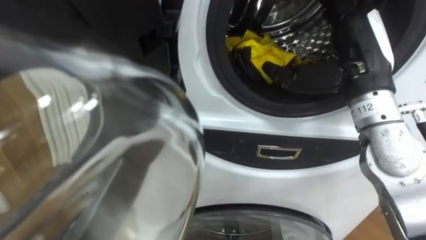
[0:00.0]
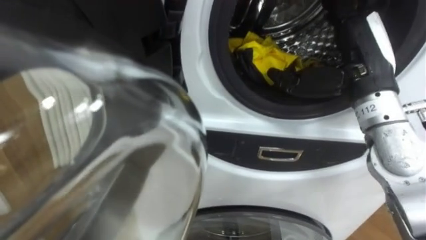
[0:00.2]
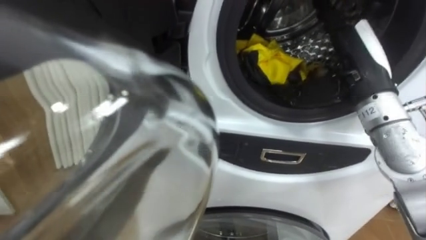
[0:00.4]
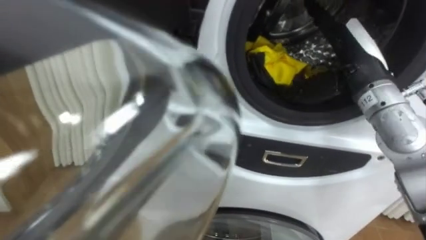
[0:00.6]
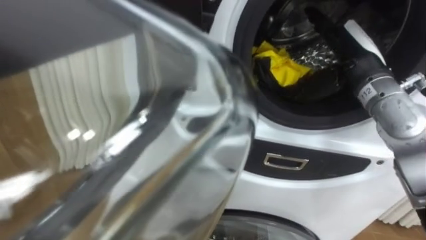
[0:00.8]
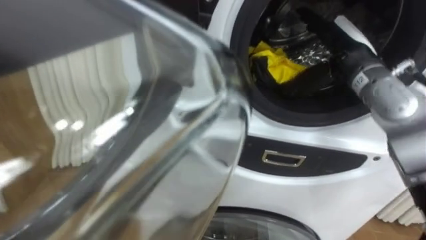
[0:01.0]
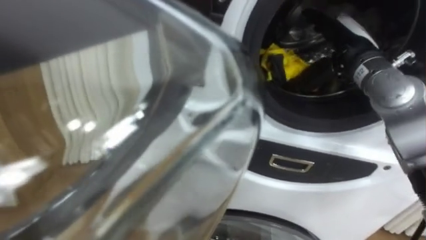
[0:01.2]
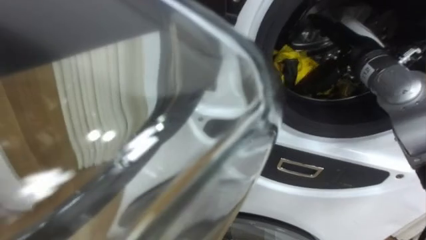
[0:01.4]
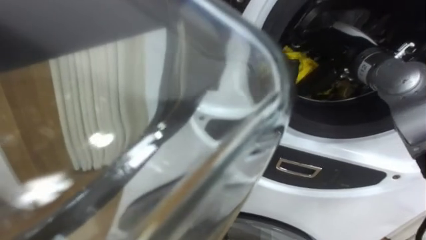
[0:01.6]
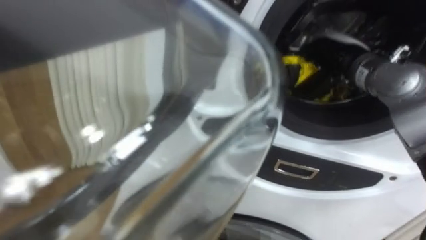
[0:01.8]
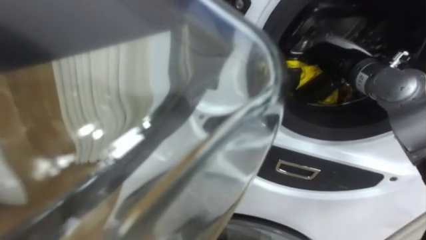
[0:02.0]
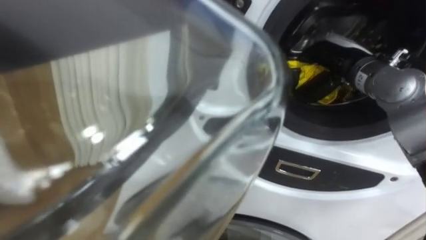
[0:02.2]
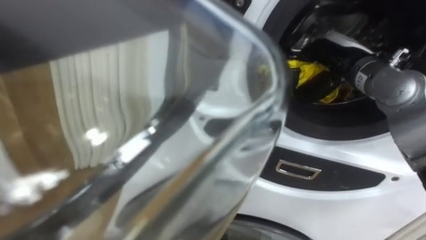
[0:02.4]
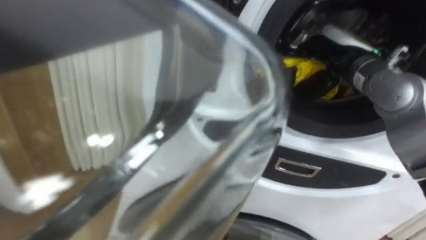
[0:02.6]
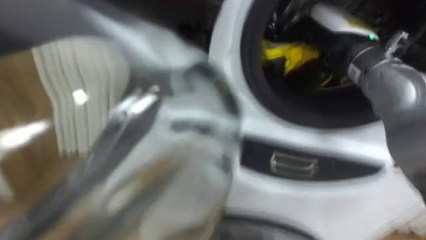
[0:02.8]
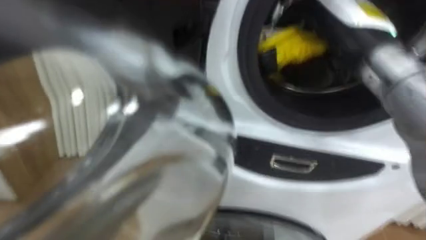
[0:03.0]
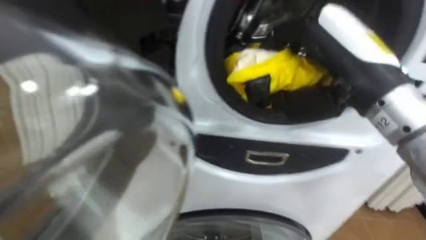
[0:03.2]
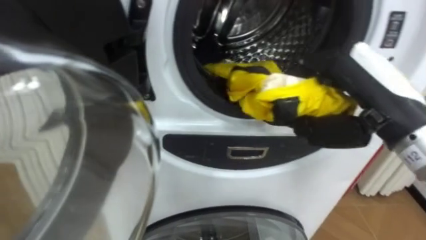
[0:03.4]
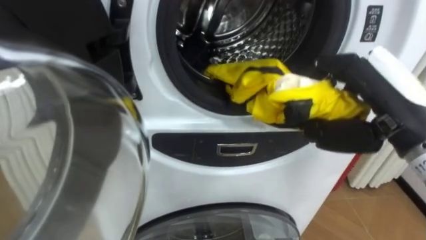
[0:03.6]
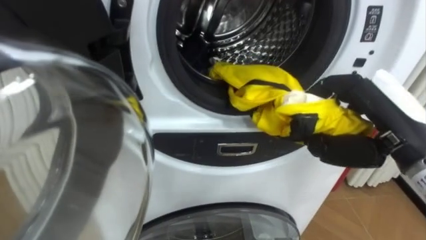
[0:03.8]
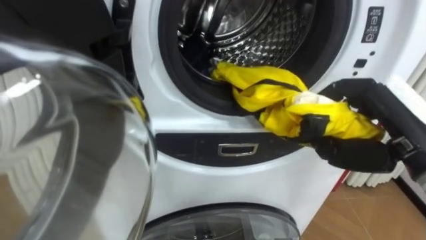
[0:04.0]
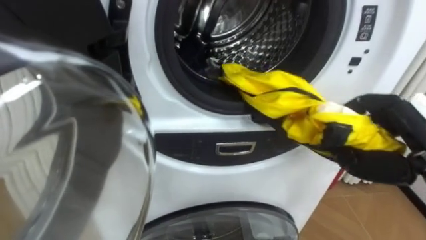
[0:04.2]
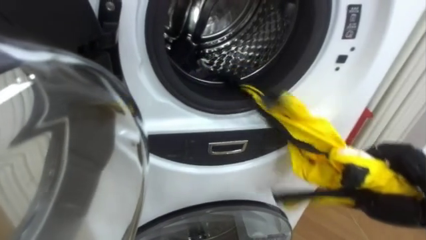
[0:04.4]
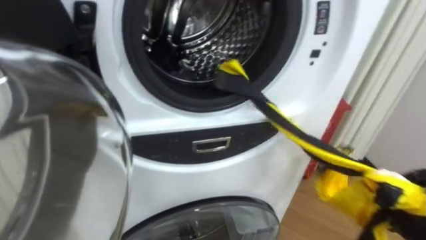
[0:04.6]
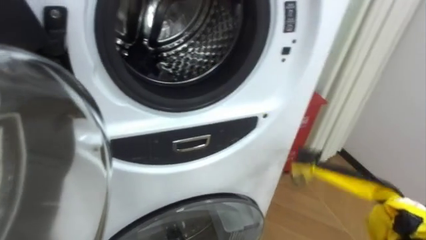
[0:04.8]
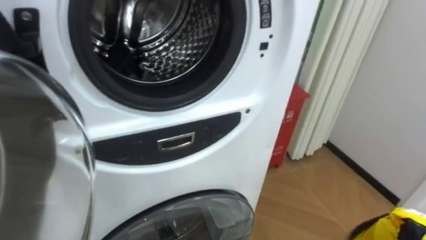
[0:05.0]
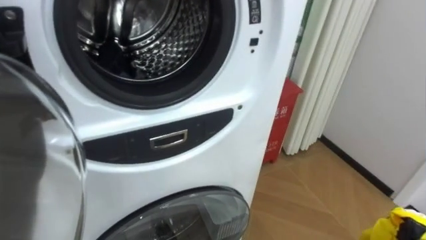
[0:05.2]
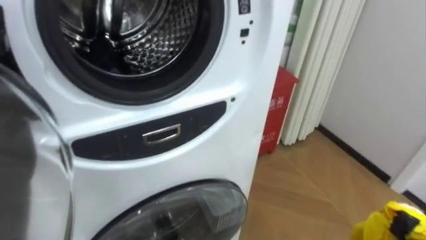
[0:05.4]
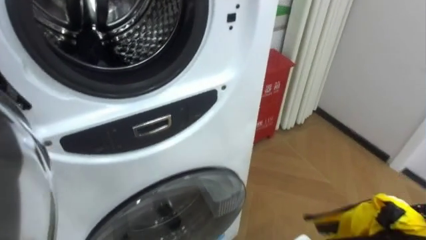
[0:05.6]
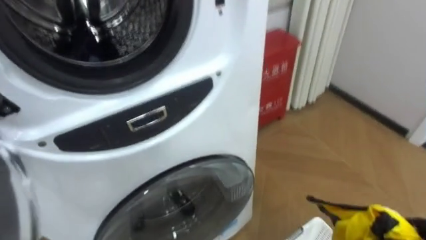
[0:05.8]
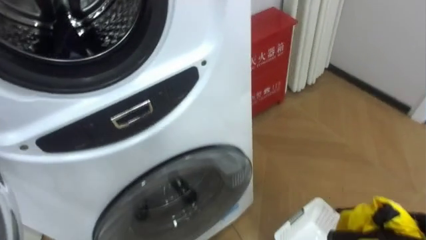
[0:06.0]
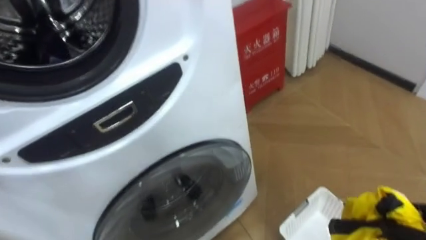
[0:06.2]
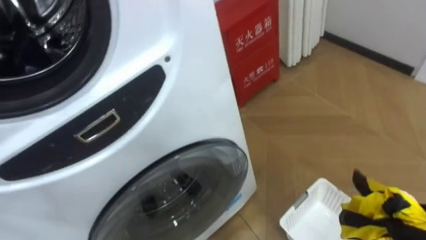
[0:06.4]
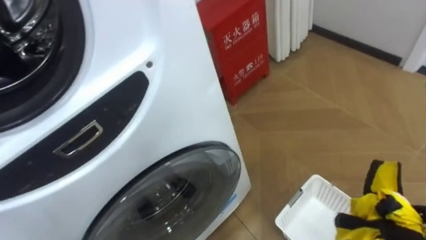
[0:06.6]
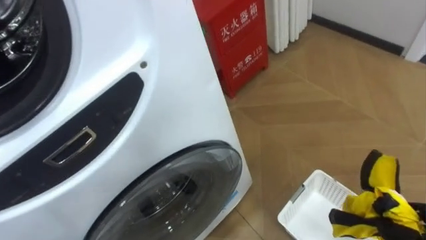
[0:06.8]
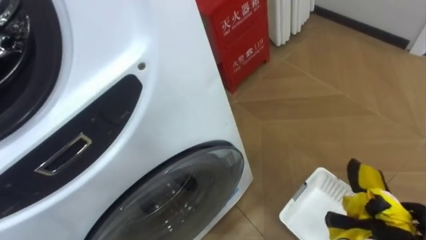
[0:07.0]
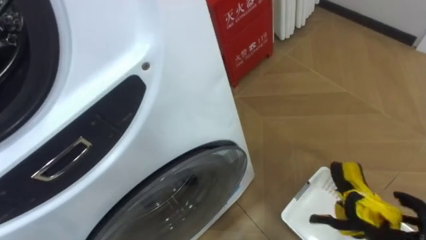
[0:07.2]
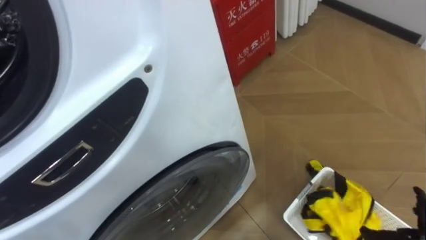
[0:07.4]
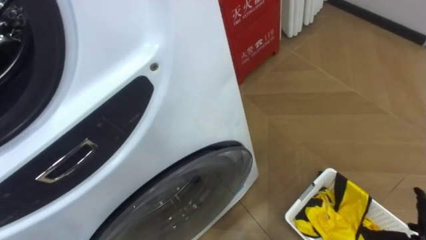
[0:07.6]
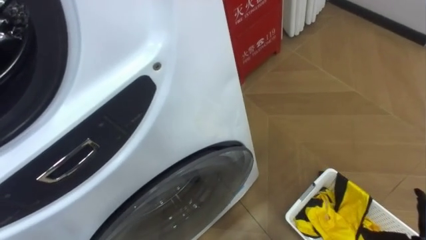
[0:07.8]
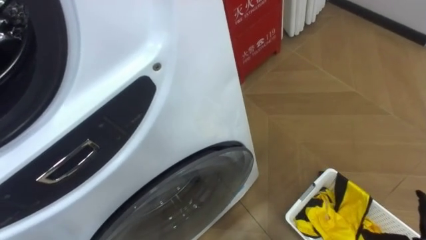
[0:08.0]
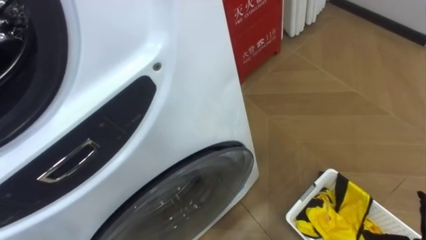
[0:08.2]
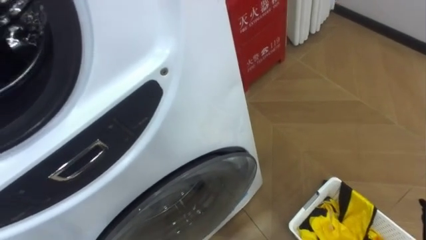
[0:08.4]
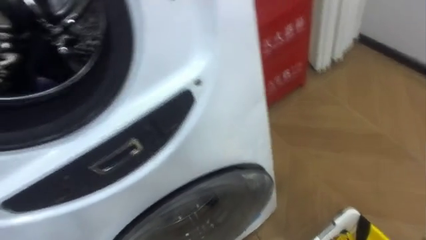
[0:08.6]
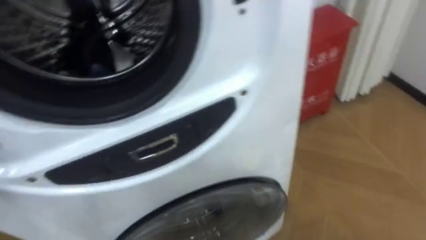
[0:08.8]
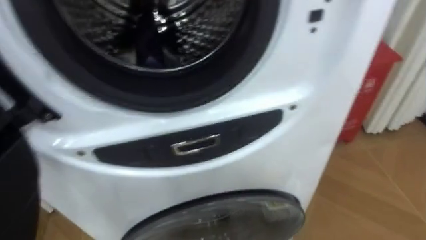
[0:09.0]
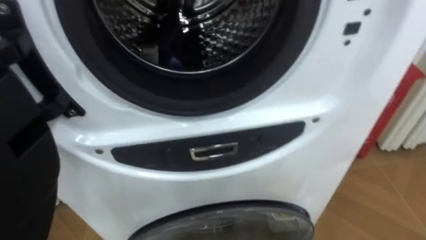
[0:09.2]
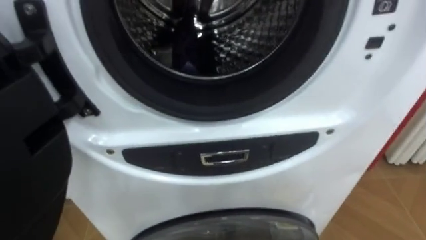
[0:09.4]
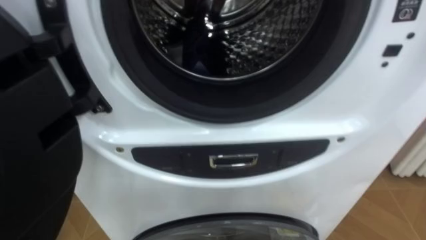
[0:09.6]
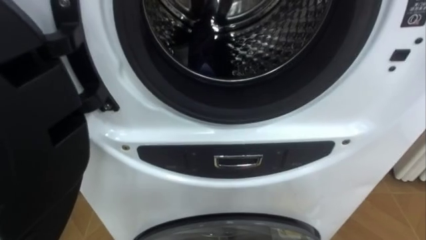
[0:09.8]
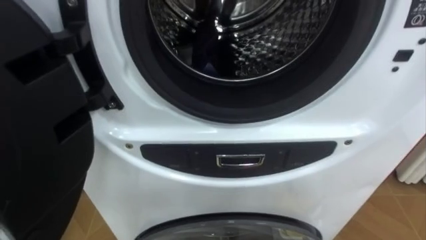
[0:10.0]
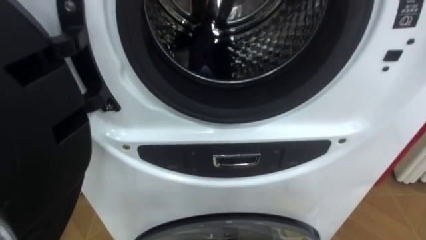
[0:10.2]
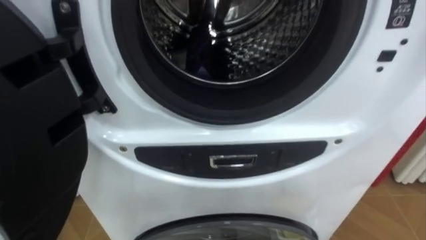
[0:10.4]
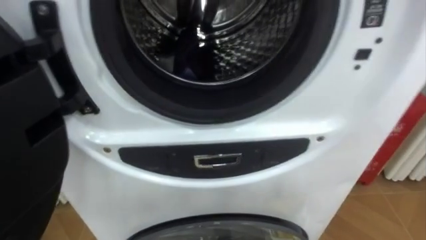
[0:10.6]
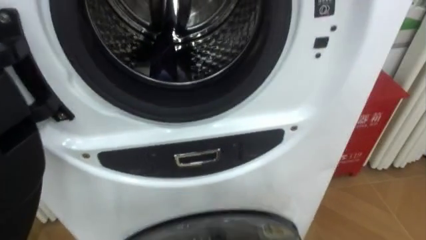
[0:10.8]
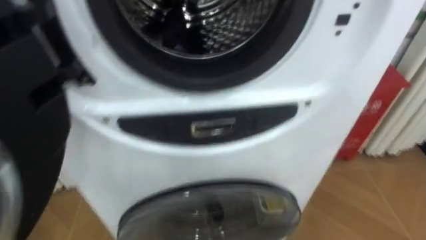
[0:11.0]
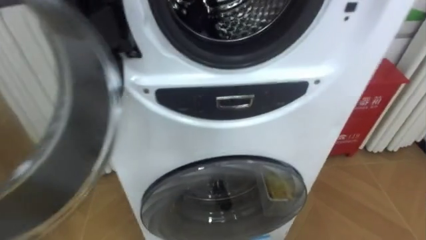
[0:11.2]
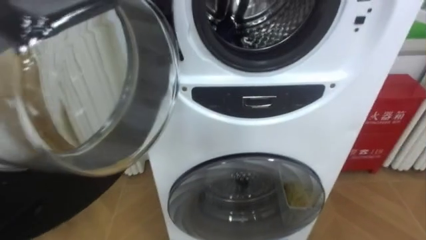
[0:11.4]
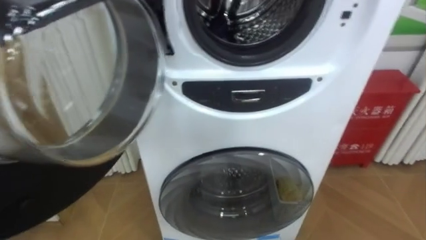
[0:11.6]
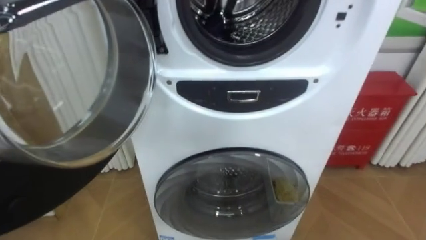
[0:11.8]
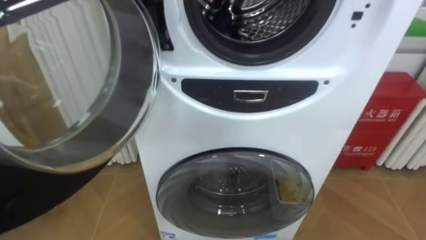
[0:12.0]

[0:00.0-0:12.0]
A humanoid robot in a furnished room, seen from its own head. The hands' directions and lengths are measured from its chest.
Task of the whole recording: Open the washing machine door, take out the yellow clothes, place them in the box on the right, and close the washing machine door.
0:00.0 to 0:01.6: The right hand goes some 10 cm forward.
0:01.6 to 0:03.0: The right hand heads backward, upward and to the left, covering about 10 cm, and closes.

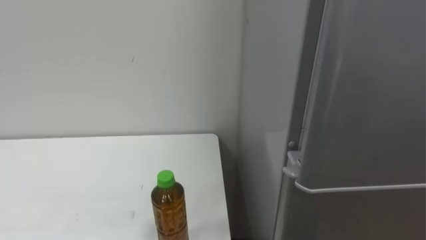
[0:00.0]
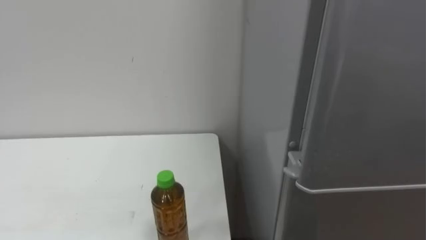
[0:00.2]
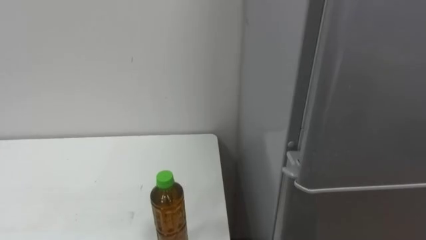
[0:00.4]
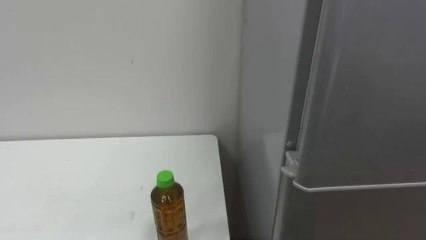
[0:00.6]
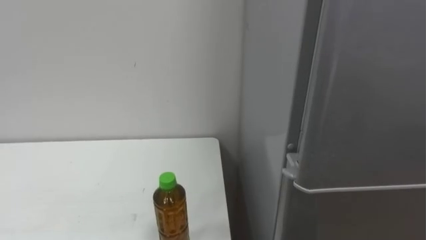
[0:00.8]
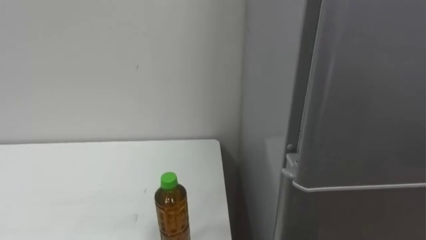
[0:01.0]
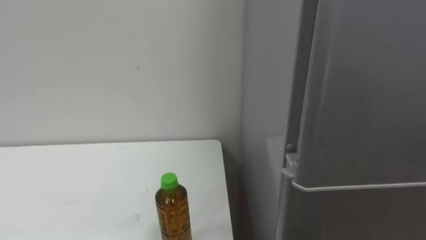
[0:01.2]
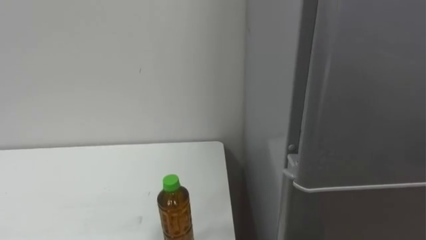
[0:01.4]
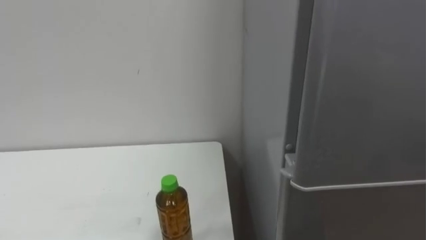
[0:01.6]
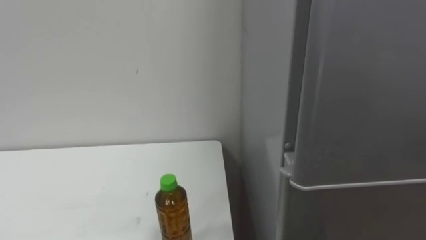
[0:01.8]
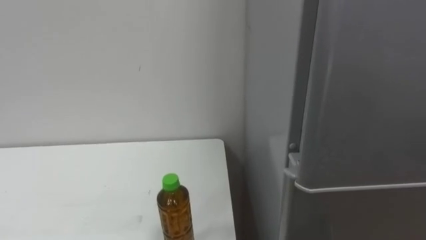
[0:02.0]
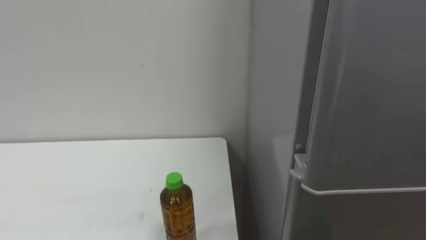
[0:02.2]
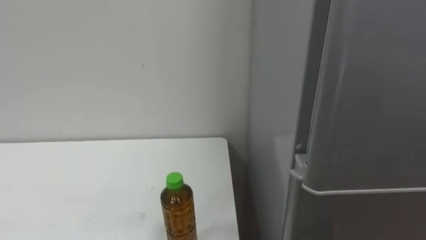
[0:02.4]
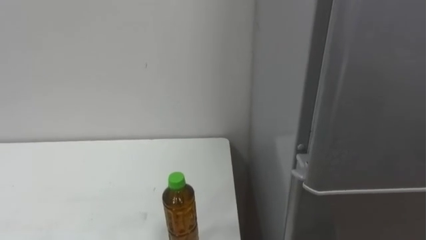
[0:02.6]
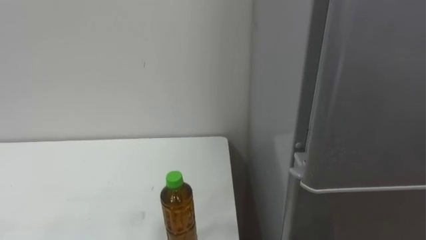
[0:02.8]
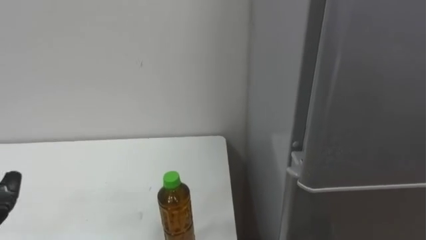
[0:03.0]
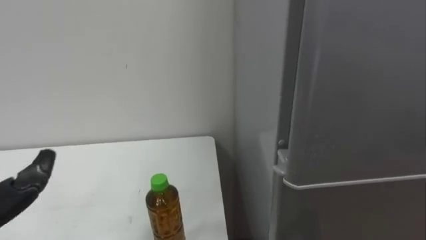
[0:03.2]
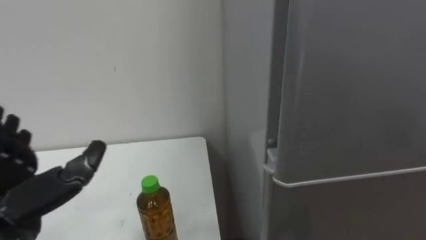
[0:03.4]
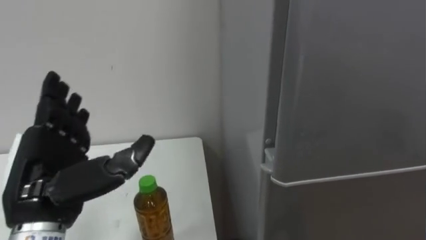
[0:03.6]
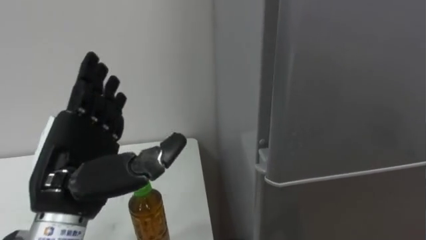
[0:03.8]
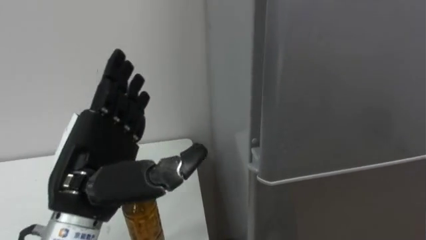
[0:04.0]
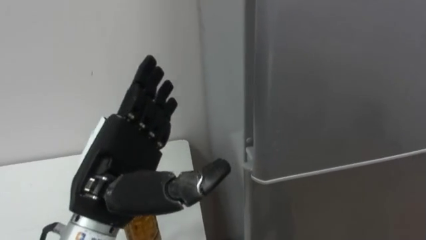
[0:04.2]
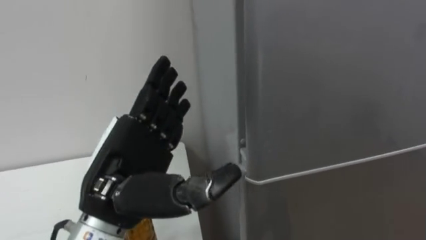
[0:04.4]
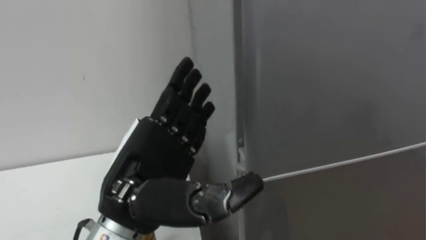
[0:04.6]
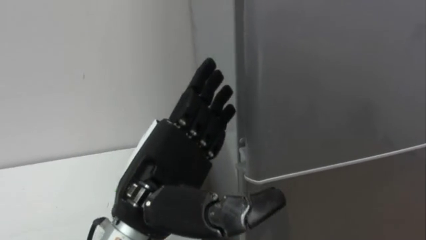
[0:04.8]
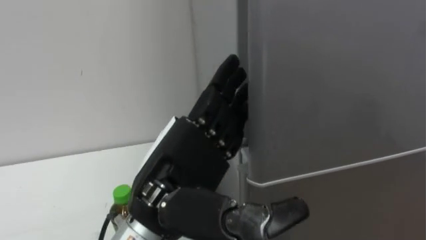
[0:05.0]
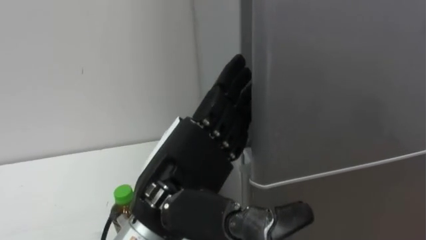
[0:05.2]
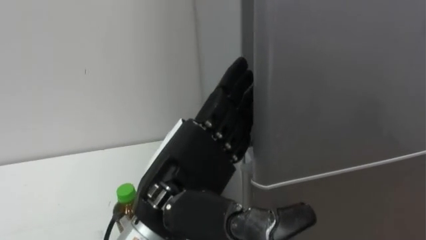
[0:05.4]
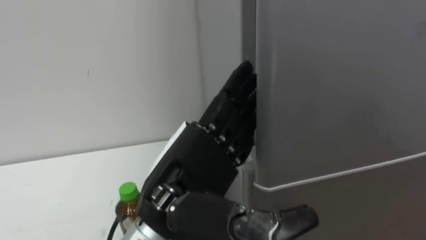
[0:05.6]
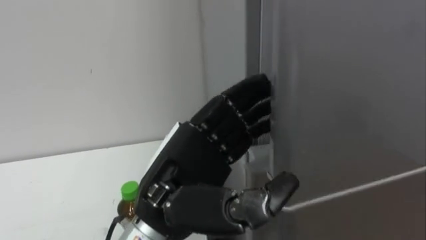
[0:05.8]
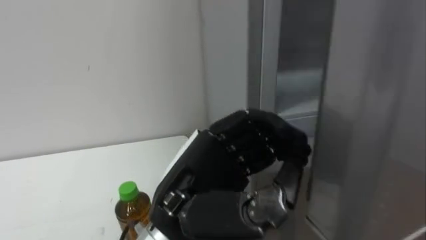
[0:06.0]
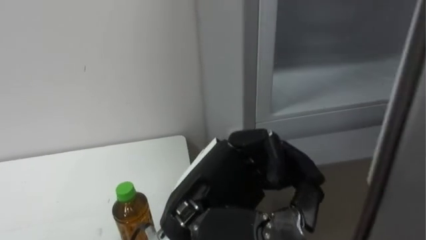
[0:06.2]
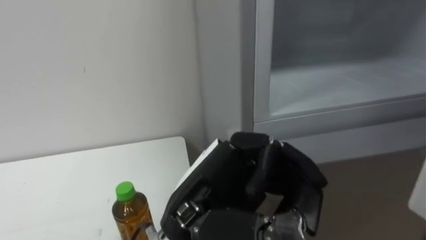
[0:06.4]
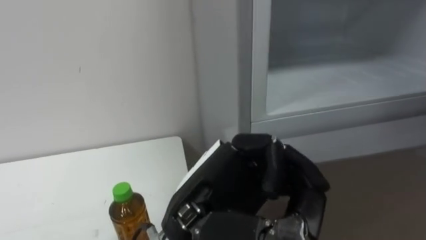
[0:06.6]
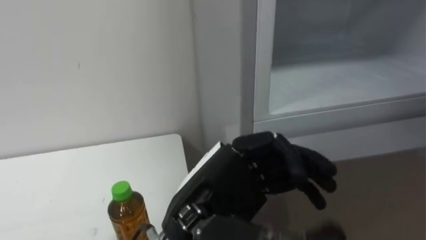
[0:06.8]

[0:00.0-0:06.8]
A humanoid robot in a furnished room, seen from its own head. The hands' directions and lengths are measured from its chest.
Task of the whole recording: Open the upper refrigerator door, put the drink from the table into the refrigerator, and then close the refrigerator door.
0:04.0 to 0:05.4: The left hand is displaced to the right by about 10 cm.
0:05.4 to 0:06.8: The left hand closes up.
